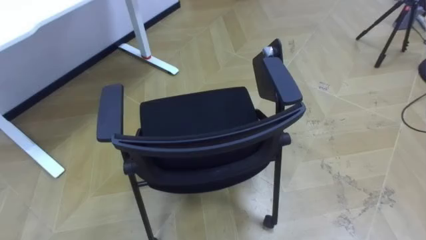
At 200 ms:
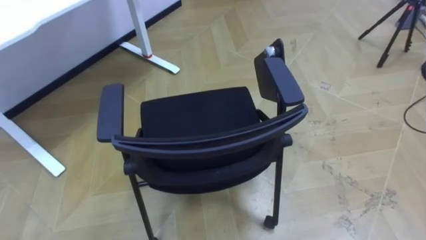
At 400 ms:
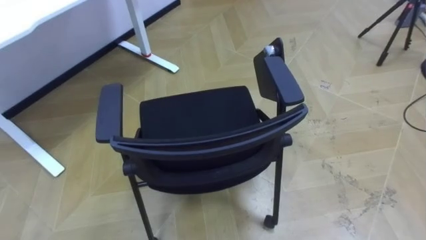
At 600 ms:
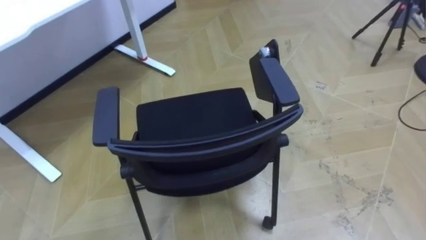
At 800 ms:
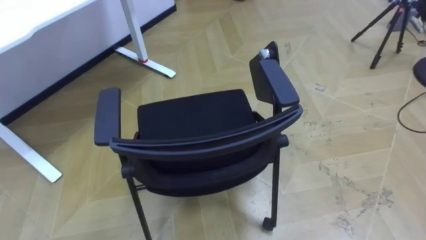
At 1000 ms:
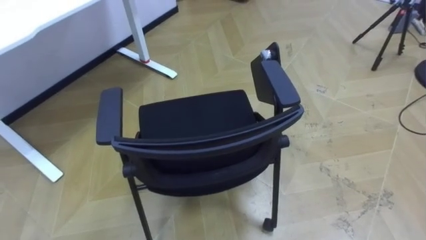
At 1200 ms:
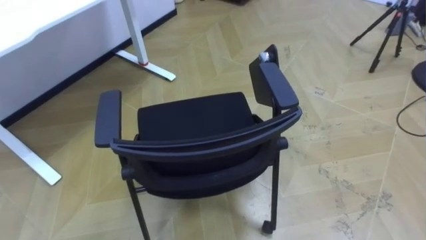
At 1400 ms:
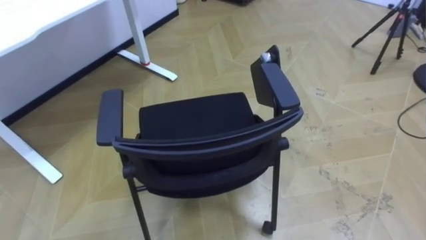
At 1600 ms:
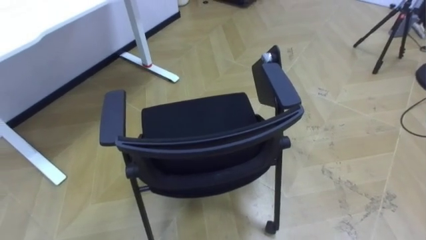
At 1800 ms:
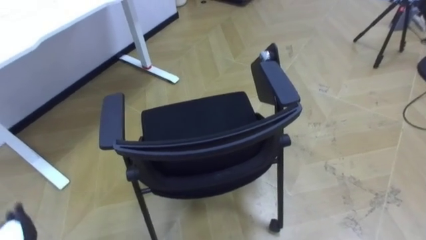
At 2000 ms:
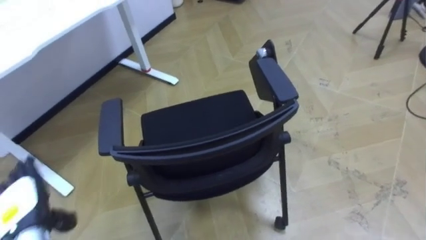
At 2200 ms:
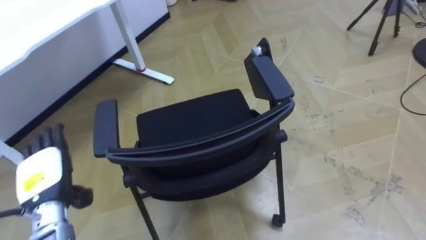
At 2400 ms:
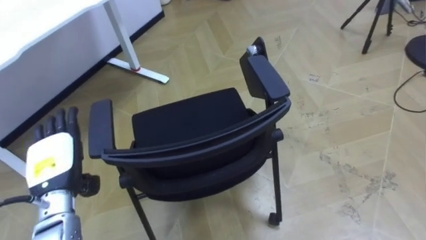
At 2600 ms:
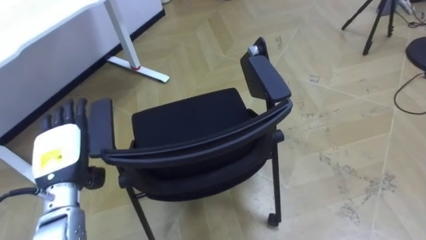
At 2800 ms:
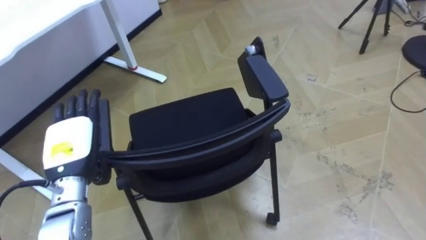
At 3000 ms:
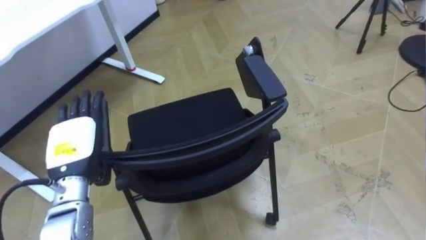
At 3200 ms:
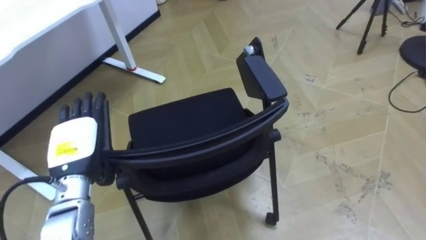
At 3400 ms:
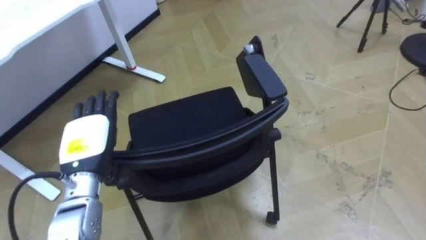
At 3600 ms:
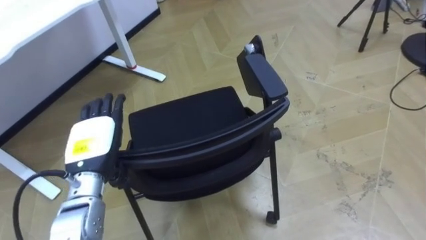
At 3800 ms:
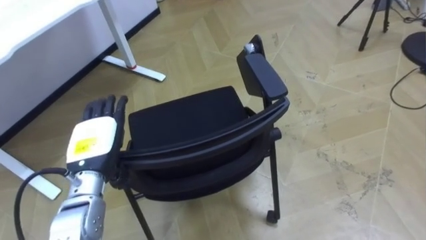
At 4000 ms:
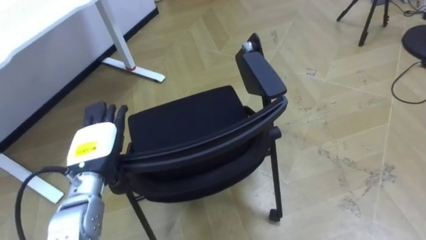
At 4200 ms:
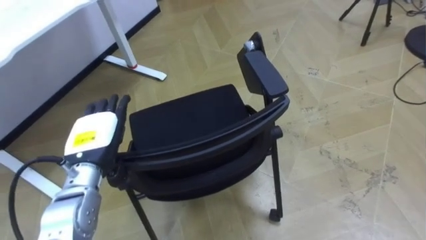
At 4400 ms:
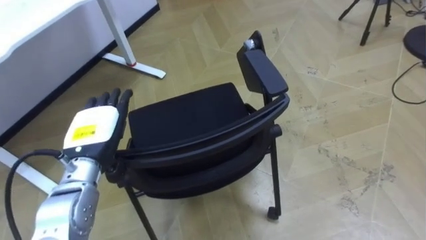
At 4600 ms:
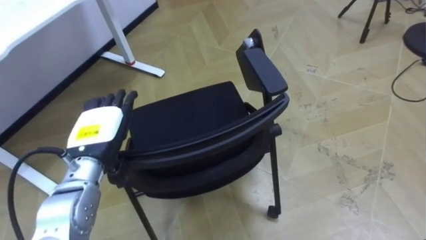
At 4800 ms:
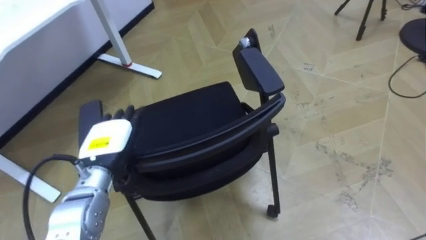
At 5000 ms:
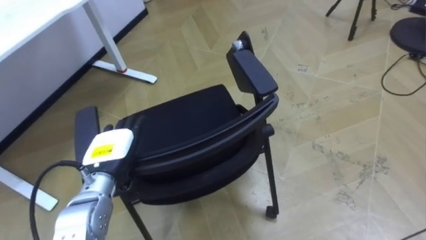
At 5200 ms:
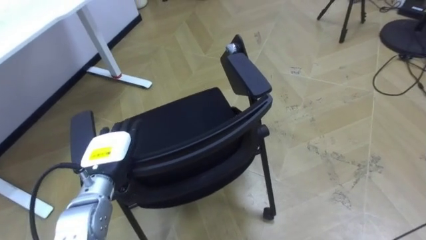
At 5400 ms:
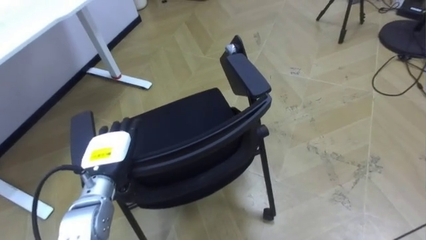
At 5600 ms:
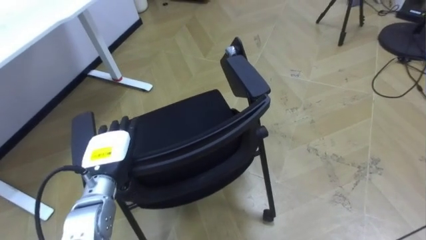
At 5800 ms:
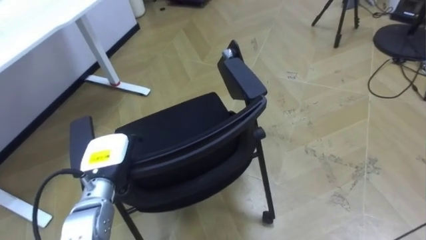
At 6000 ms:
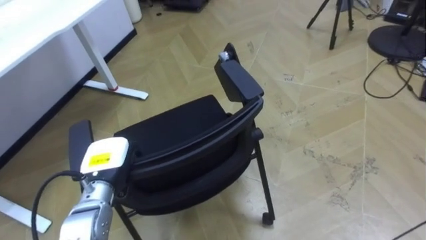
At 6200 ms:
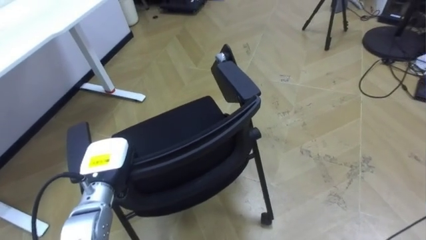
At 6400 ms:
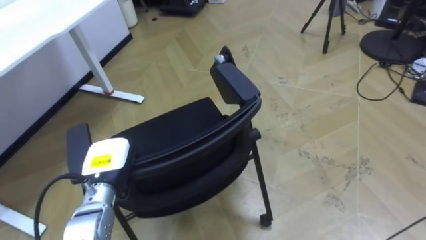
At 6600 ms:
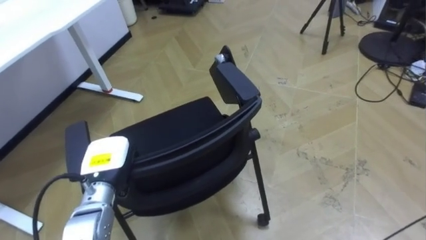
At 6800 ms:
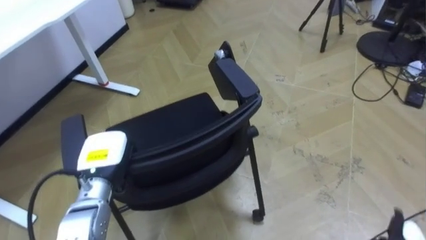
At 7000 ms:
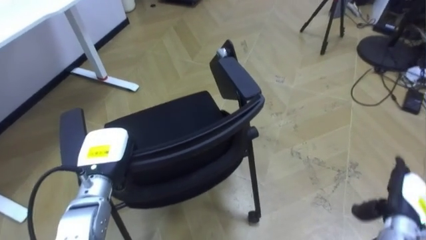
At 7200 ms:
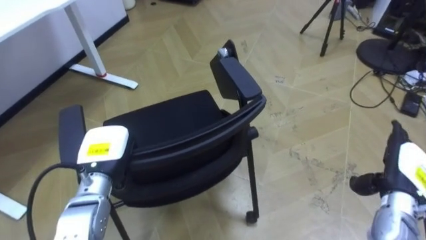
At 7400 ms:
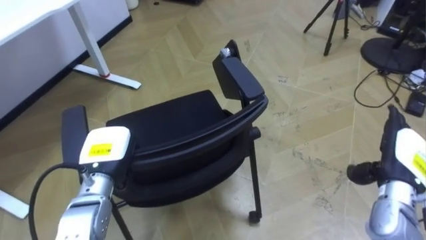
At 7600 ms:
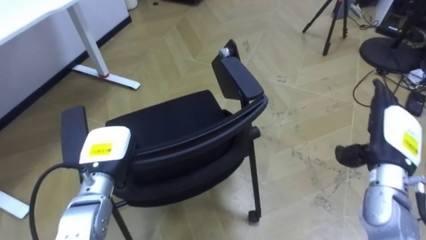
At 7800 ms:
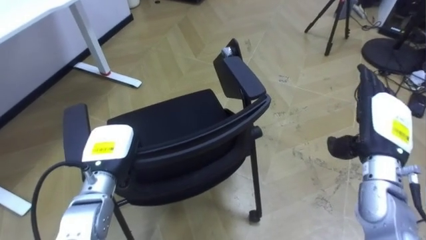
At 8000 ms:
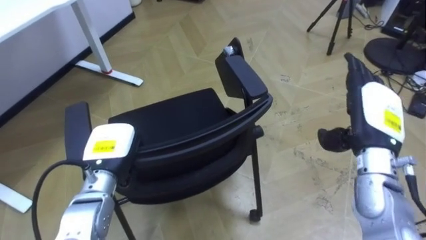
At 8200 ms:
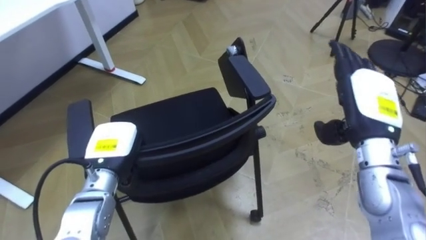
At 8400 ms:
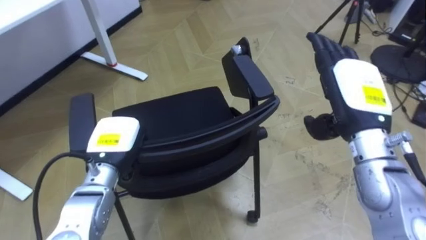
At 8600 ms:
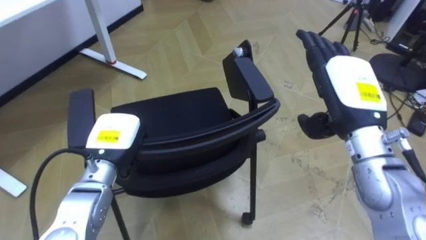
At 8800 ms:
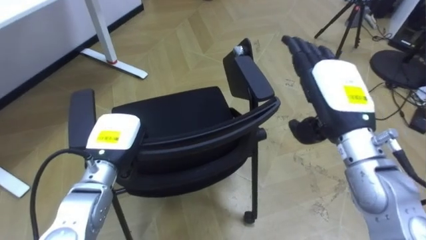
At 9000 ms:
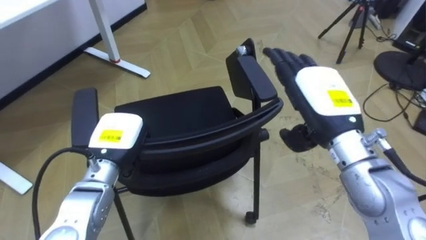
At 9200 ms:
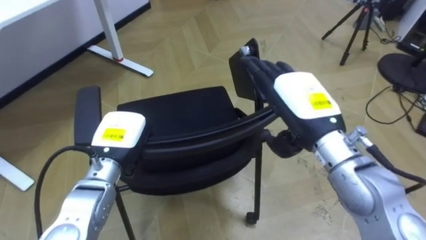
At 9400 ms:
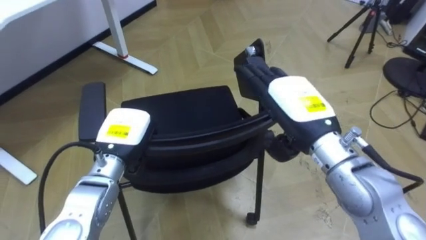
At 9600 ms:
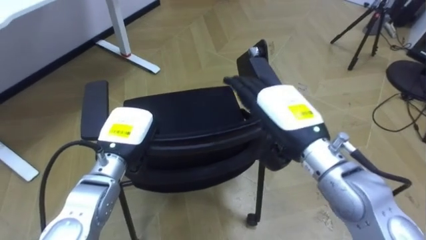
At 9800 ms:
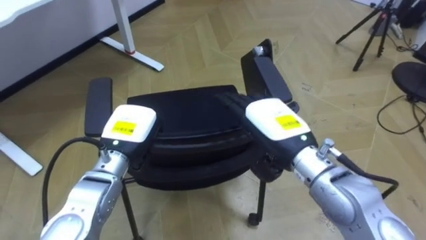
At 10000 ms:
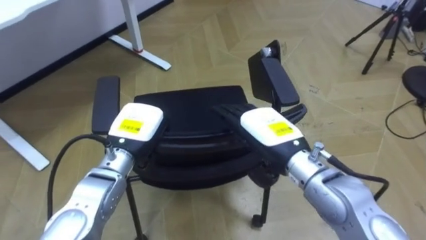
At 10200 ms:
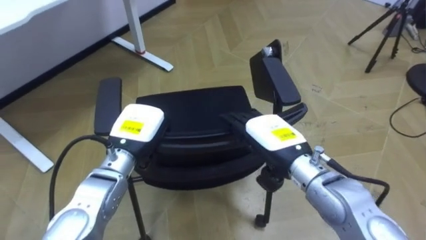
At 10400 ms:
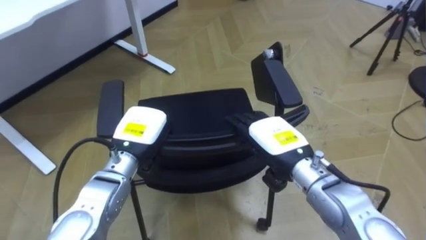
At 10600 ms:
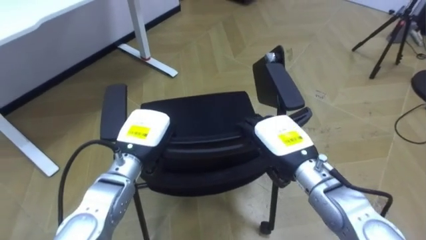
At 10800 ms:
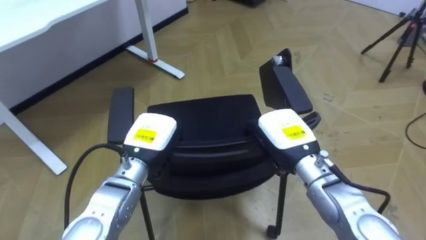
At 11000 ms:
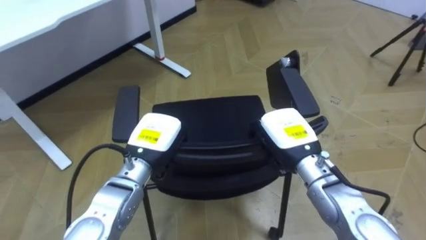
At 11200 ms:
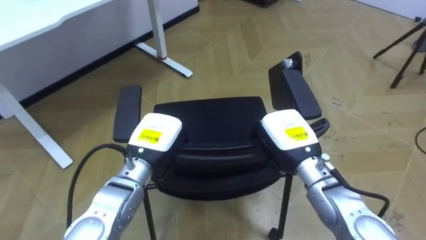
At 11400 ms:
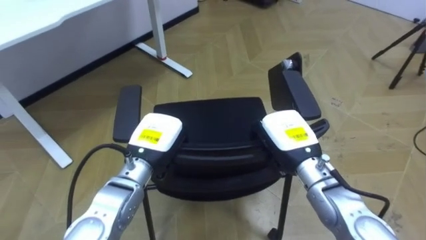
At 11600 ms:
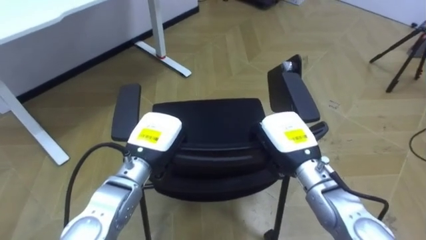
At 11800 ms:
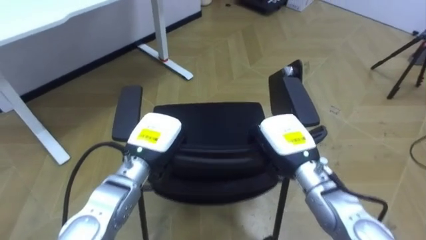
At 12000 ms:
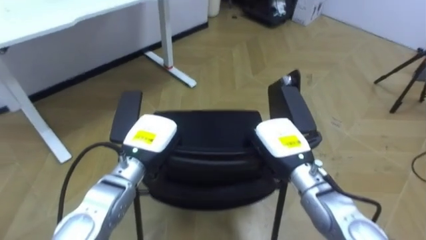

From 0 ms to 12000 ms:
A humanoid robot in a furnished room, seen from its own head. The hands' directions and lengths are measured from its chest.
Task of the whole recording: Push the chair under the table.
From 4400 ms to 6000 ms: The left hand goes roughly 5 cm downward, and closes up.
From 7600 ms to 9000 ms: The right hand is displaced to the left and upward by approximately 15 cm.
From 9000 ms to 10400 ms: The right hand is displaced downward and to the left by about 10 cm.
From 10400 ms to 12000 ms: The right hand closes up.

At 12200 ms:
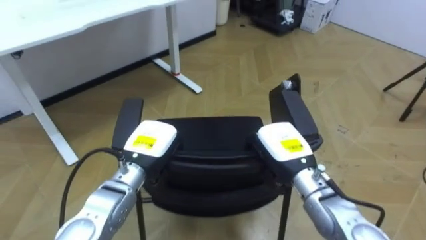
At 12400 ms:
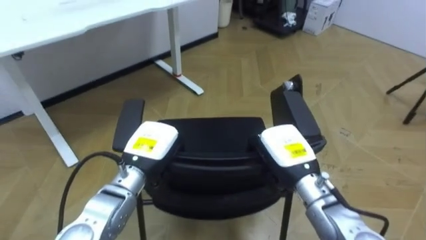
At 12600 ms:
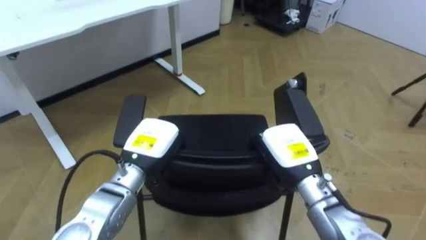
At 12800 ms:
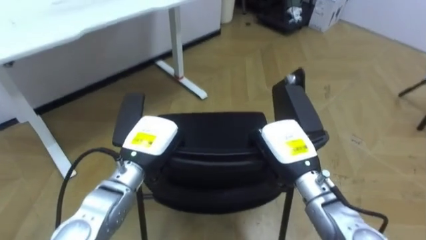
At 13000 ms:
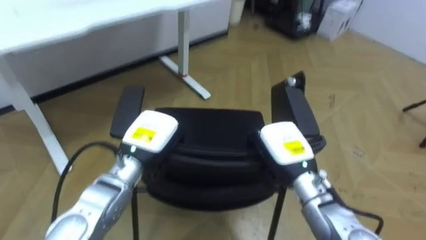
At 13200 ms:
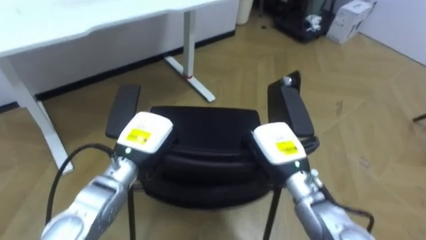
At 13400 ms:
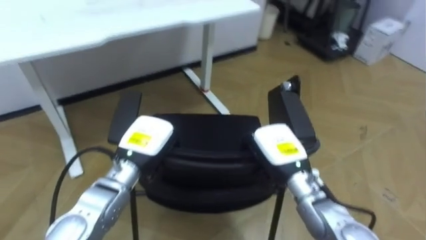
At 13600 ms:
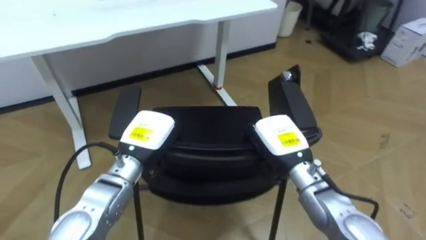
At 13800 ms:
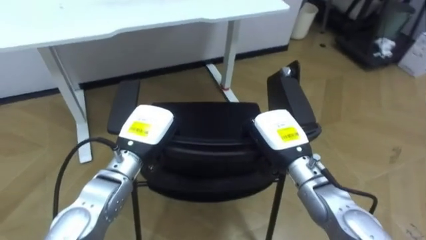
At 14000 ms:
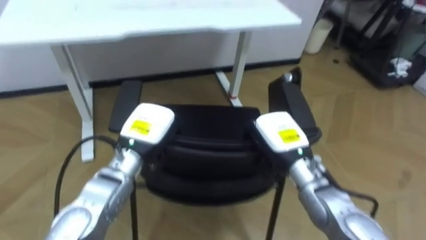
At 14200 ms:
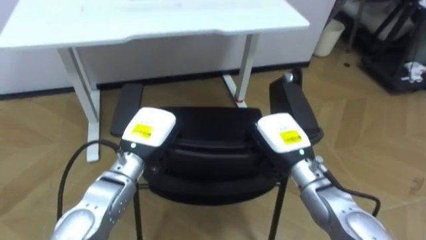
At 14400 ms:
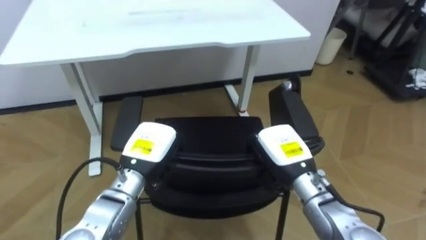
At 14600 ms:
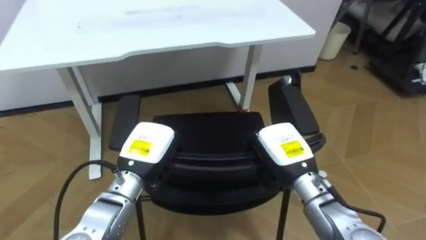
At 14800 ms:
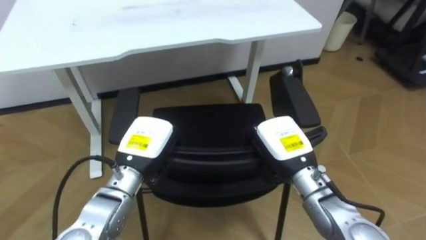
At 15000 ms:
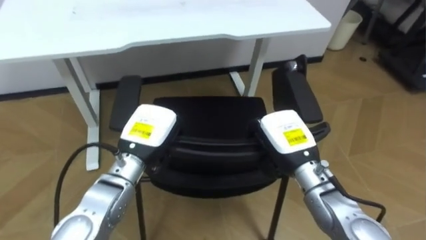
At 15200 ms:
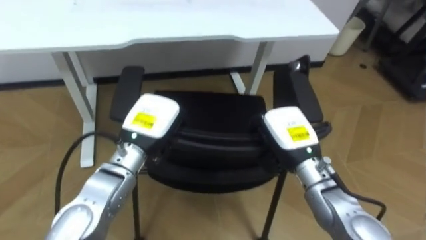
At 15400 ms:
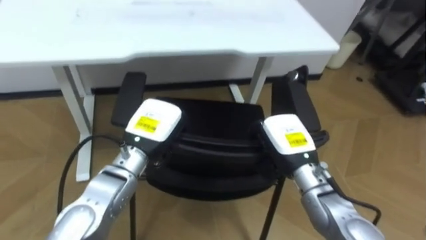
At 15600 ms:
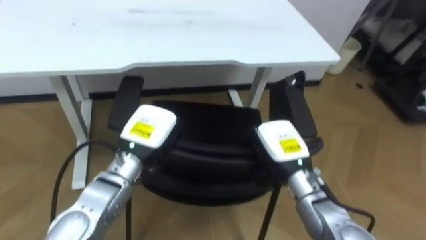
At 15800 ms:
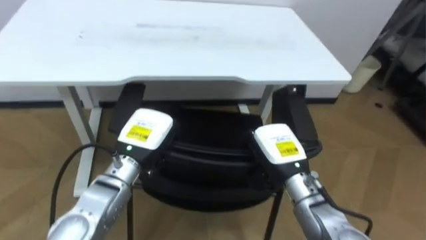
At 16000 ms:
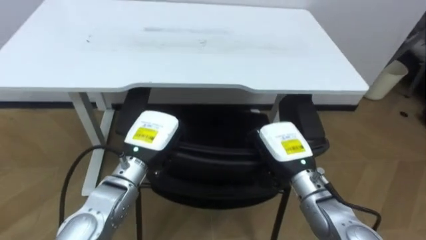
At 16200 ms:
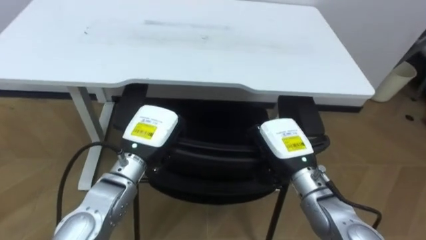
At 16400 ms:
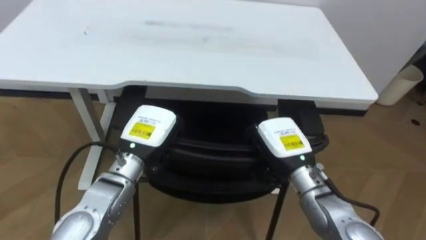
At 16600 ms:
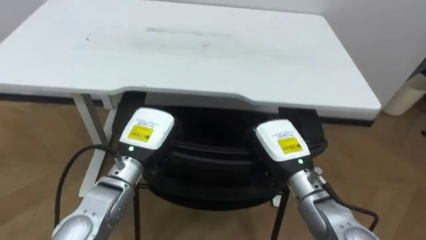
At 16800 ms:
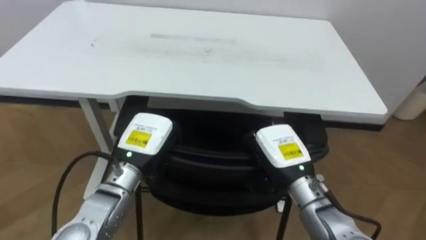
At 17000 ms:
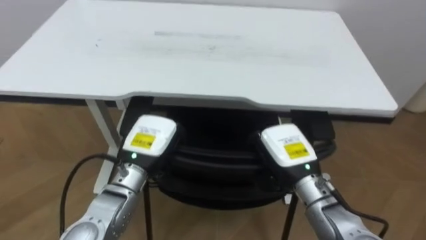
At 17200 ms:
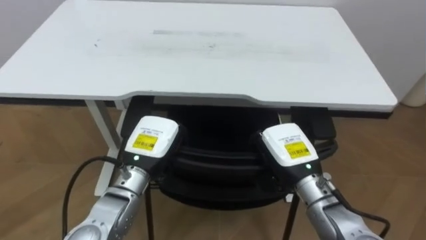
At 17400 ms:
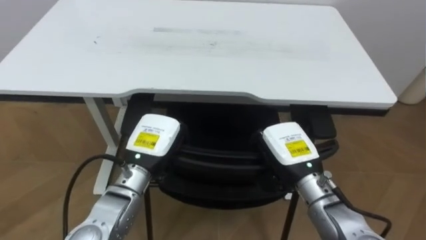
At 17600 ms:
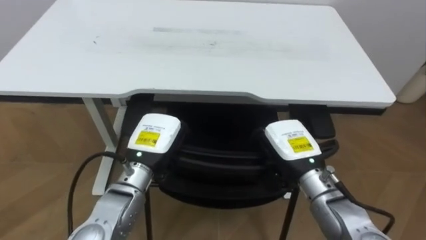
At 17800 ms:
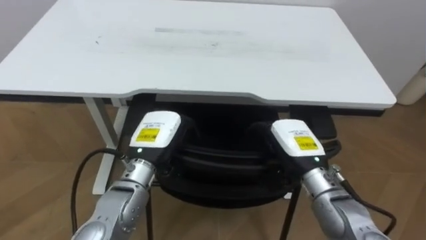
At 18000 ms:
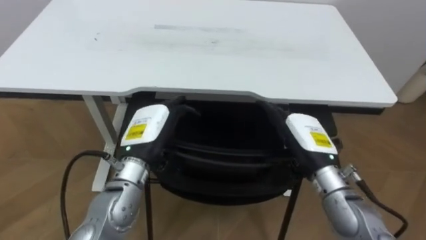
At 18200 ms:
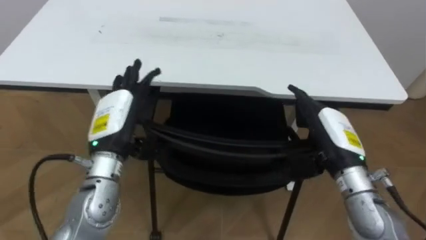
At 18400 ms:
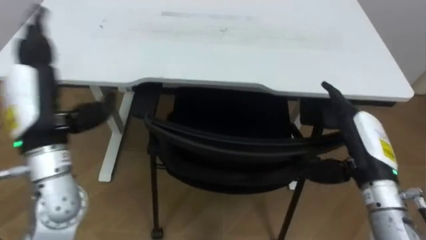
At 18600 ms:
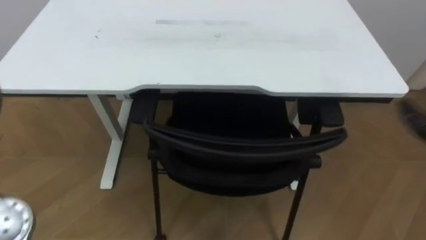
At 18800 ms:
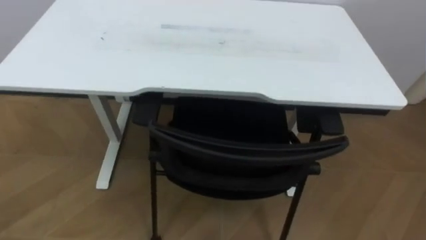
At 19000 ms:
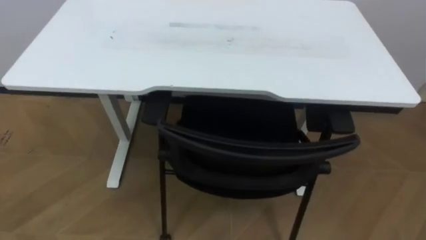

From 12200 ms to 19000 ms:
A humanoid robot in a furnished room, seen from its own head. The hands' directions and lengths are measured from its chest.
Task of the whole recording: Push the chair under the table.
From 12200 ms to 13600 ms: The robot's body swings about 15 degrees to its left.
From 15000 ms to 16200 ms: The robot's body swings approximately 15 degrees to its left.
